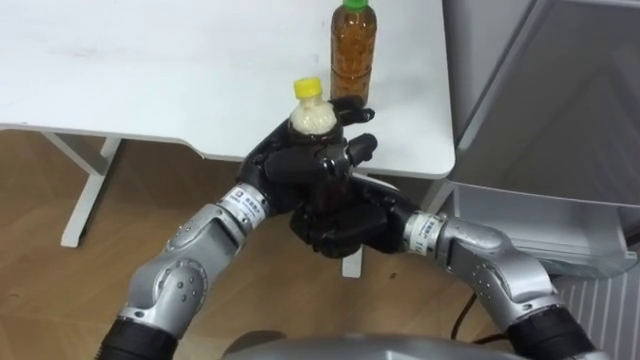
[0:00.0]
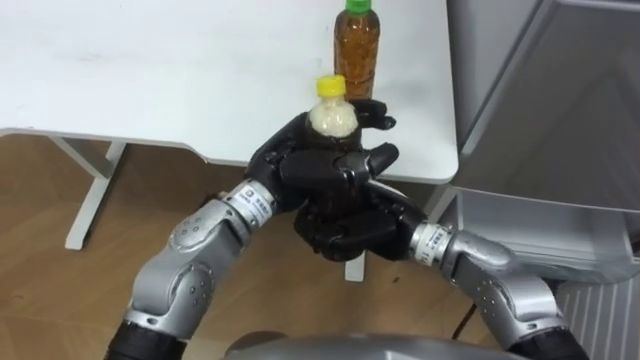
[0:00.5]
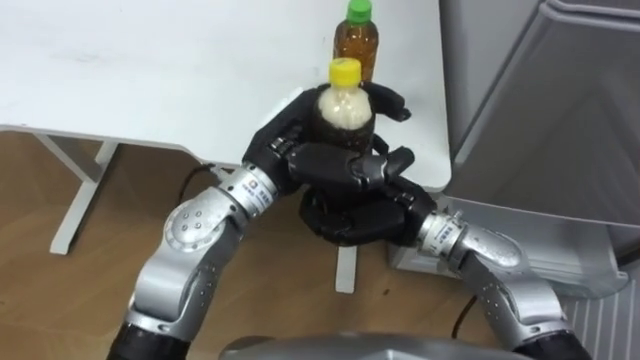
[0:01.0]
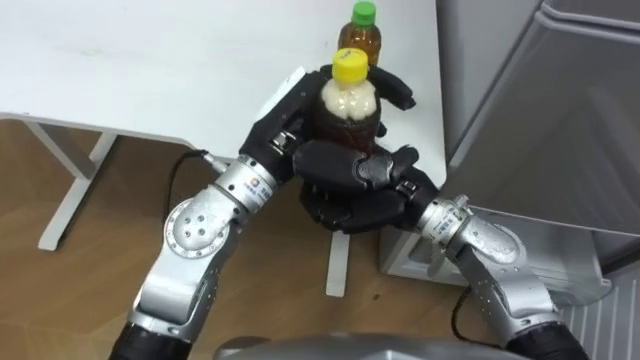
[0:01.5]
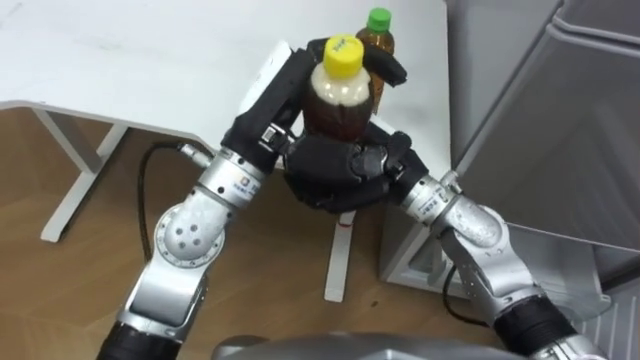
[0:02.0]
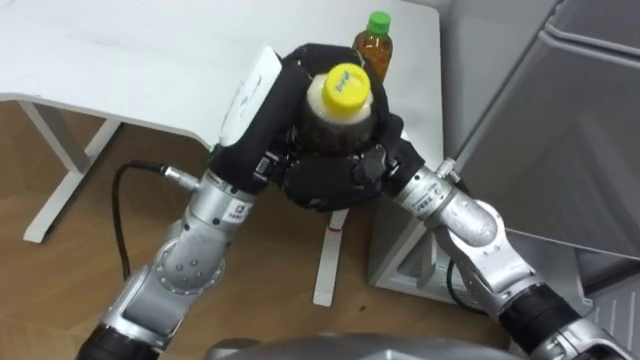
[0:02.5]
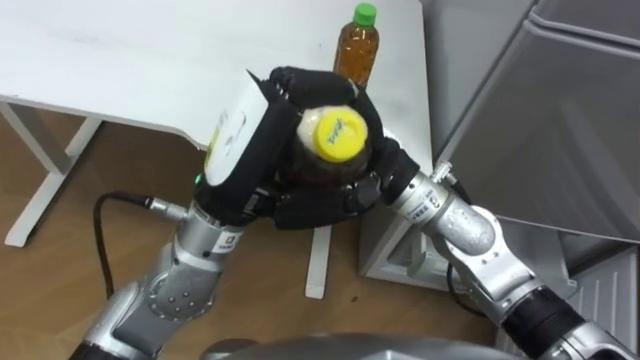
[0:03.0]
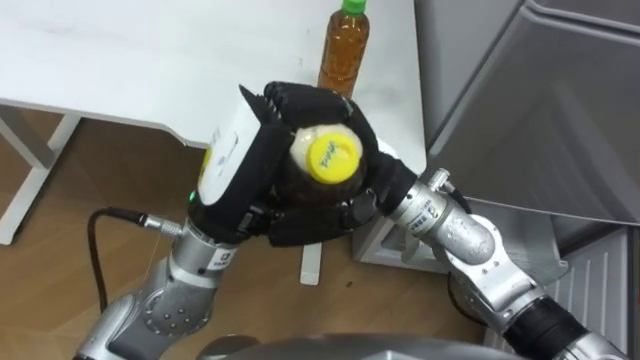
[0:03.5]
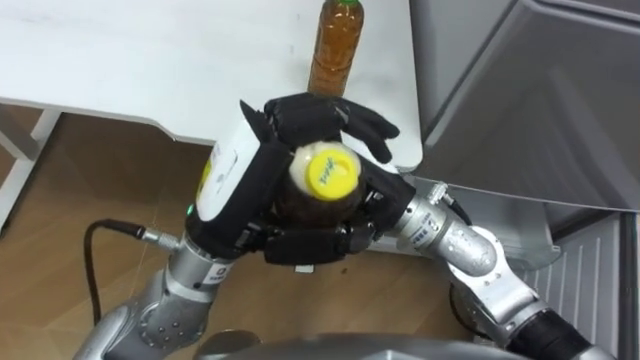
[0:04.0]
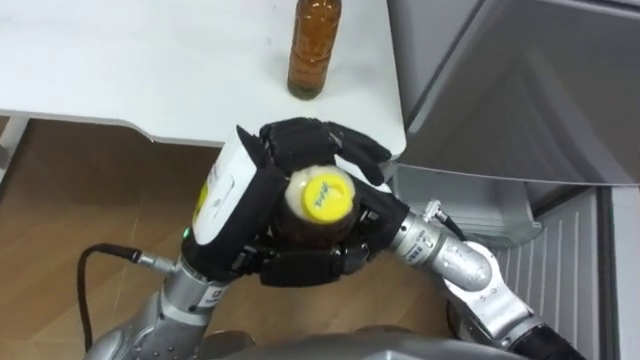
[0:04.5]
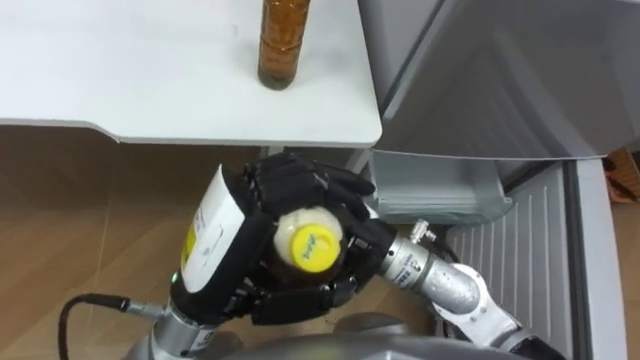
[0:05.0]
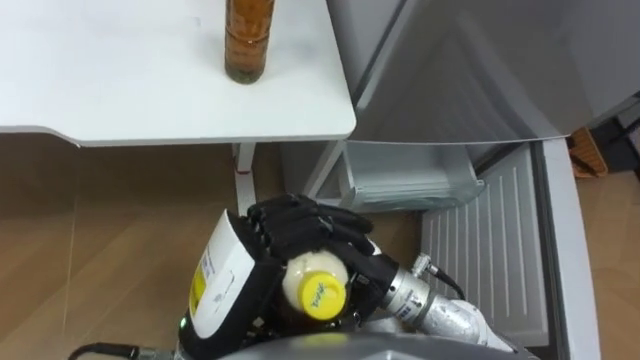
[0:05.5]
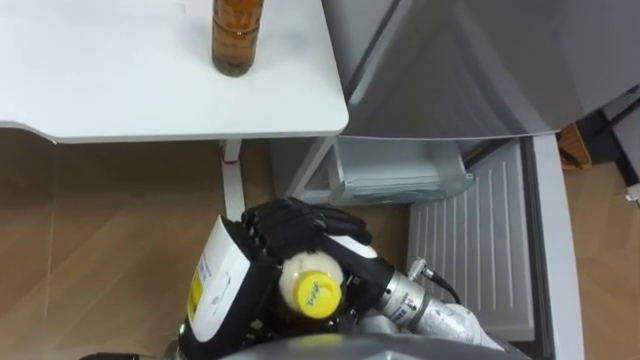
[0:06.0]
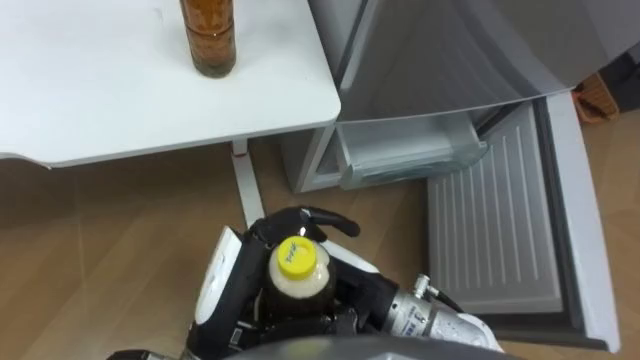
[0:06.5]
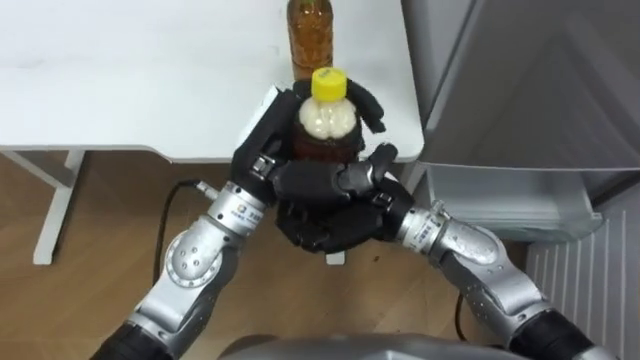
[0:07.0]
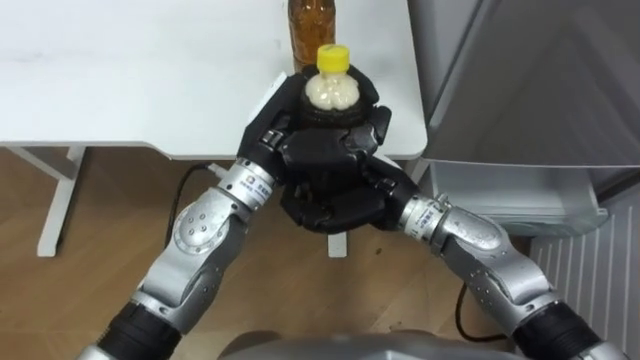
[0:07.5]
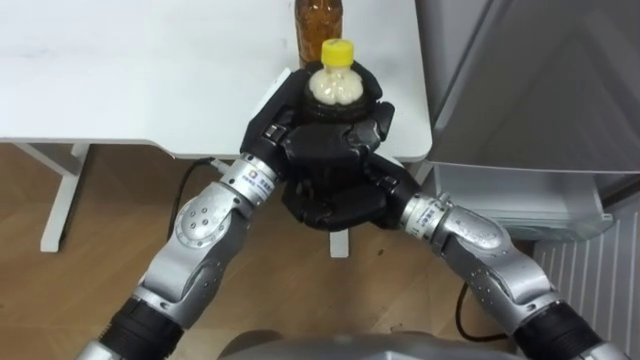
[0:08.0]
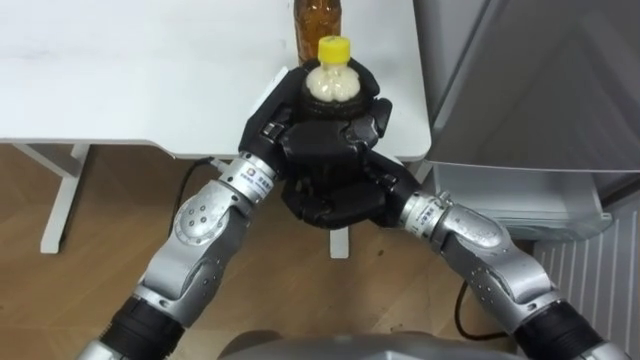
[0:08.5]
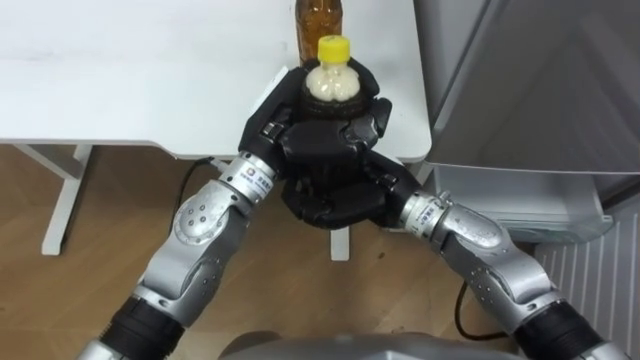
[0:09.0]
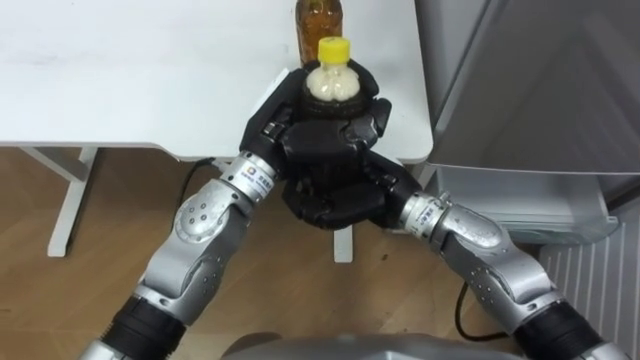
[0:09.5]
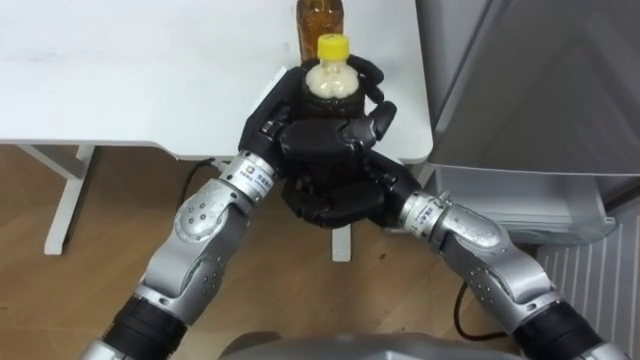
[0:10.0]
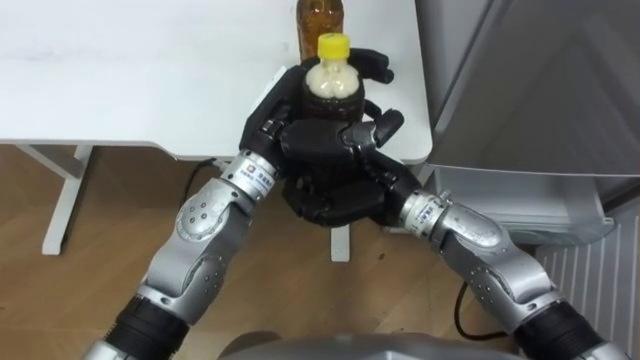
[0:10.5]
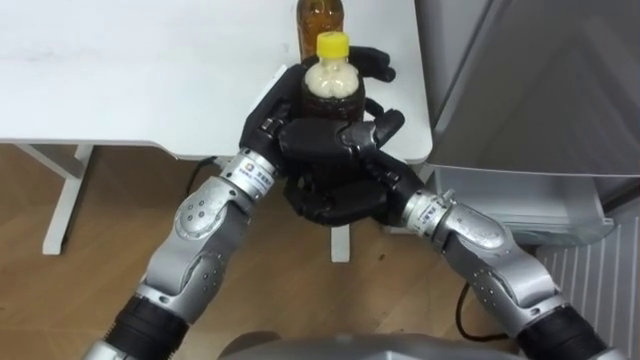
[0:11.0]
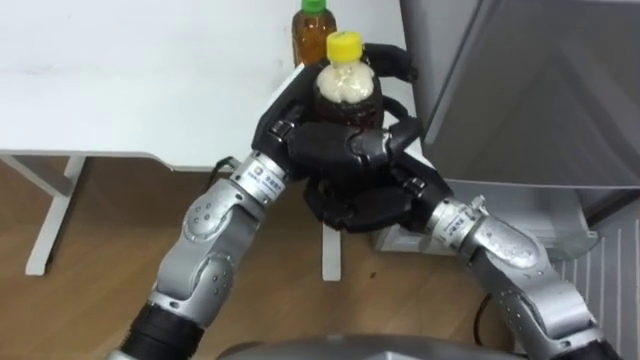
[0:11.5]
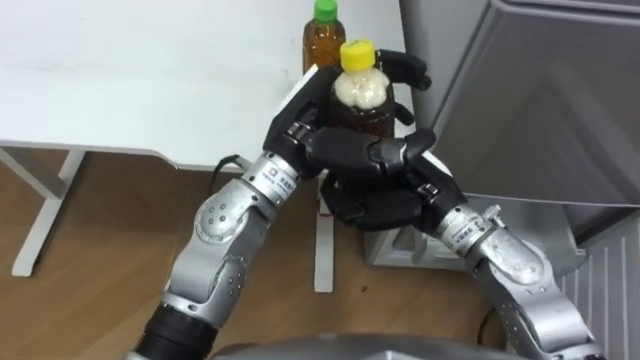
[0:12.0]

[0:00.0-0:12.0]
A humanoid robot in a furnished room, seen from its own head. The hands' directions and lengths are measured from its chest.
Task of the whole recording: Place the drink on the table on the bottom shelf of the refrigerator, then close the drawer and the refrigerator door.
0:00.0 to 0:02.0: The right hand shifts some 5 cm upward. The left hand goes some 10 cm upward.
0:02.0 to 0:04.0: The right hand ends up some 5 cm from where it was, while the left hand shifts roughly 10 cm backward.
0:04.0 to 0:06.0: The hands both shift backward and downward by some 10 cm.
0:06.0 to 0:08.0: The right hand moves forward, roughly 10 cm, while the left hand shifts roughly 15 cm forward.
0:10.0 to 0:12.0: The right hand moves to the right, roughly 5 cm.

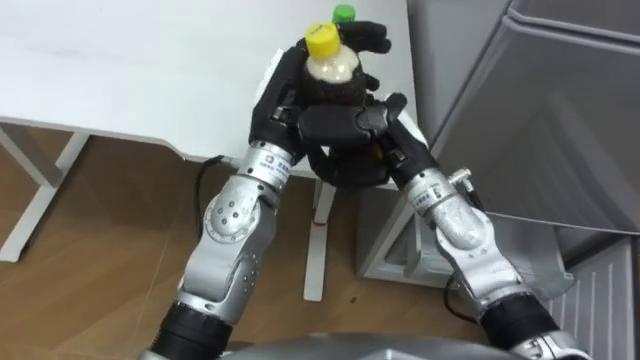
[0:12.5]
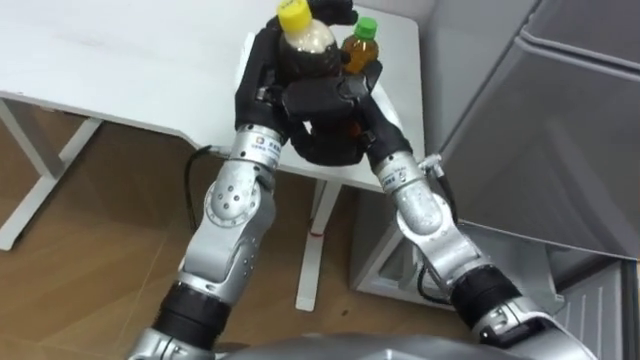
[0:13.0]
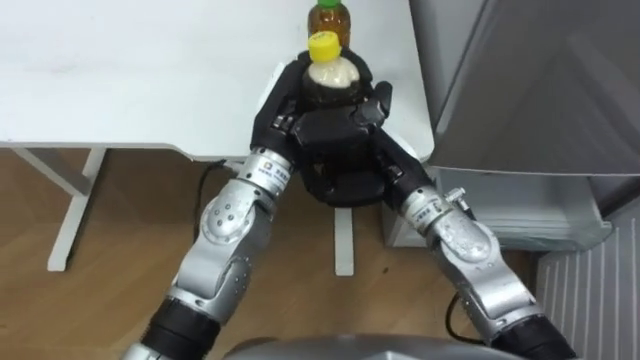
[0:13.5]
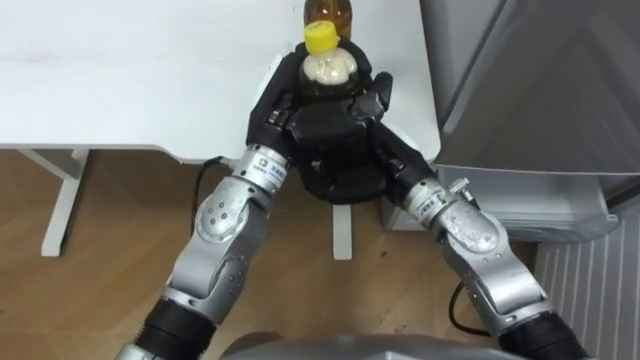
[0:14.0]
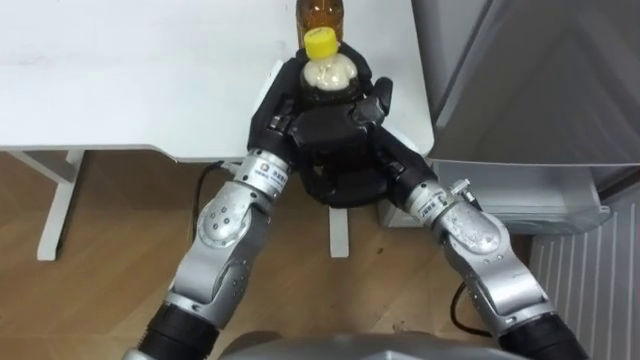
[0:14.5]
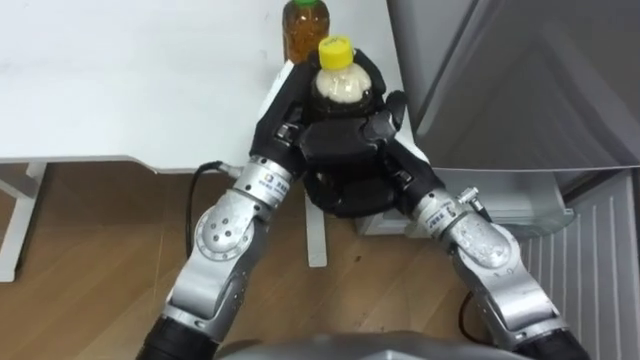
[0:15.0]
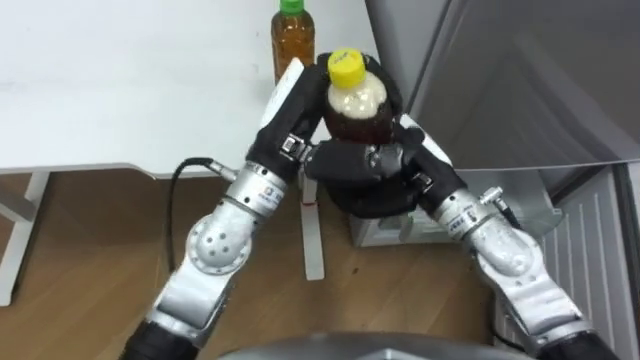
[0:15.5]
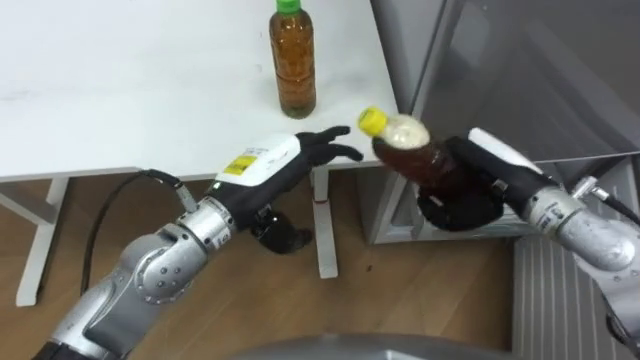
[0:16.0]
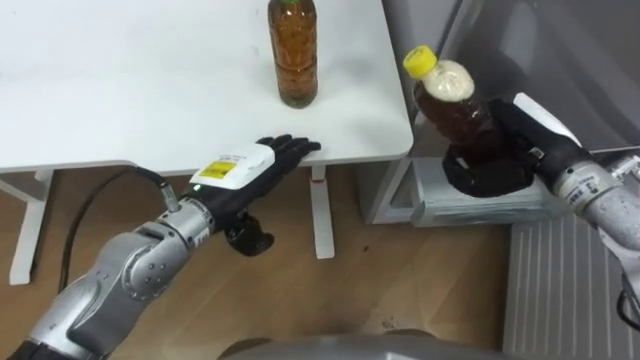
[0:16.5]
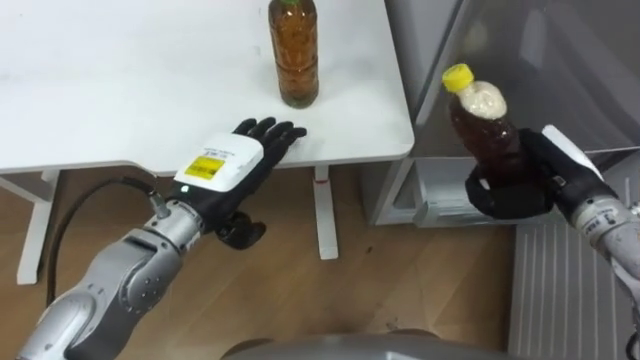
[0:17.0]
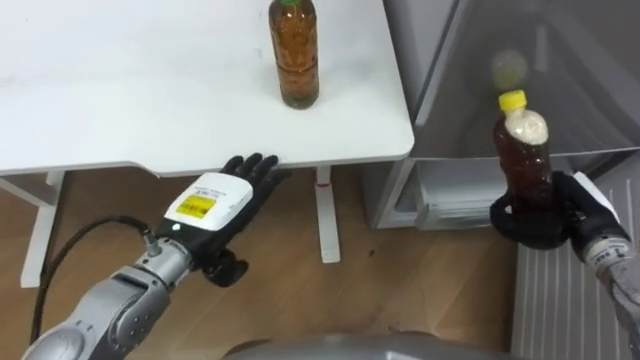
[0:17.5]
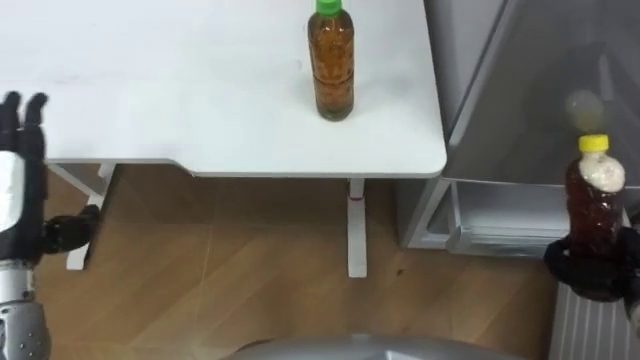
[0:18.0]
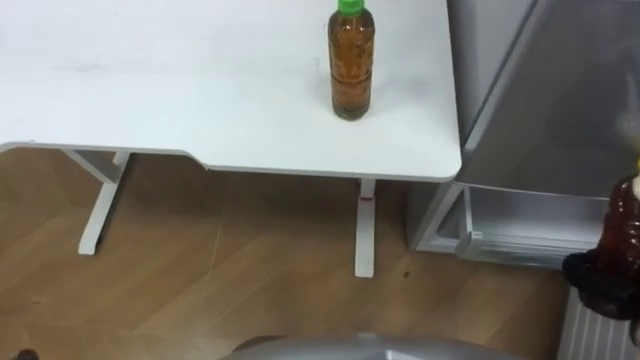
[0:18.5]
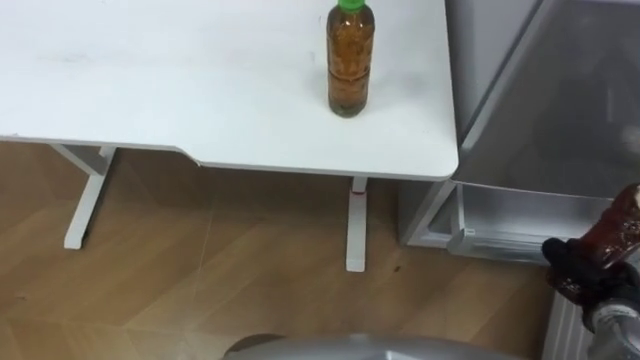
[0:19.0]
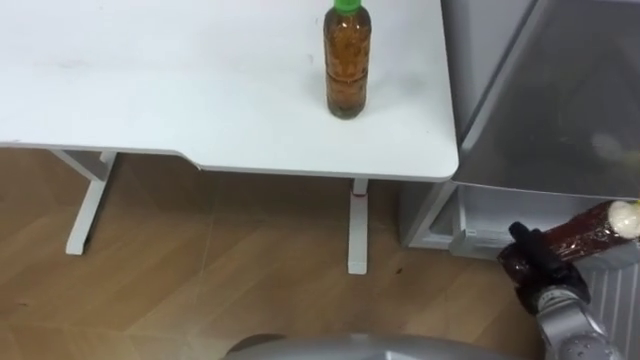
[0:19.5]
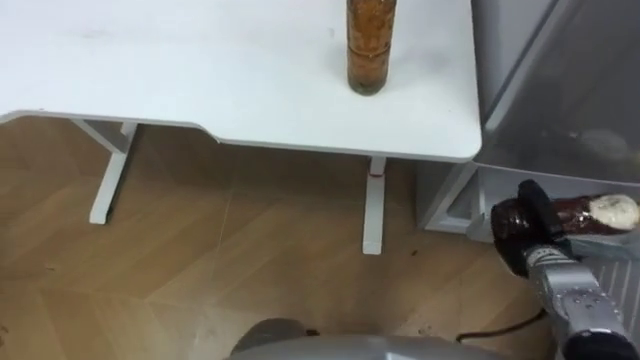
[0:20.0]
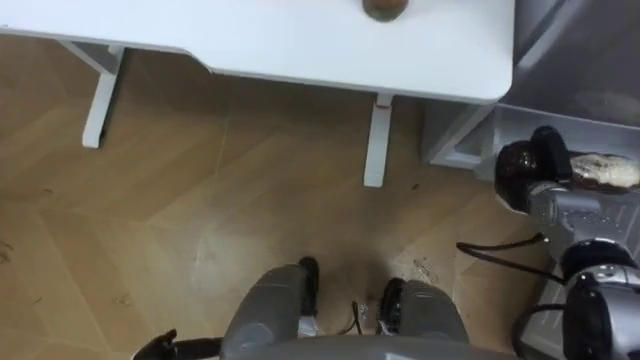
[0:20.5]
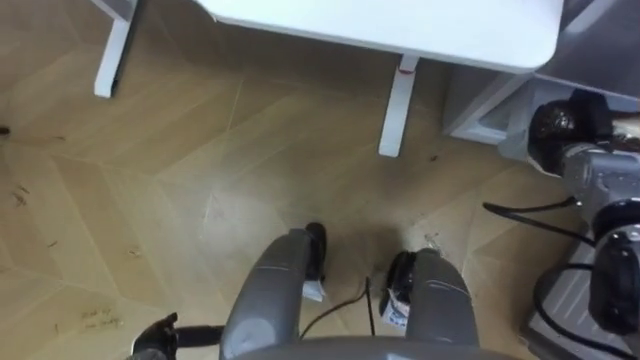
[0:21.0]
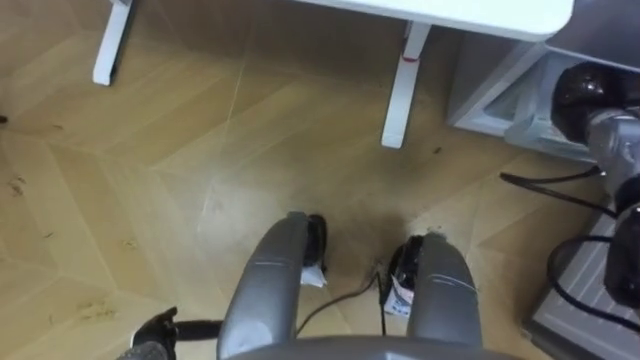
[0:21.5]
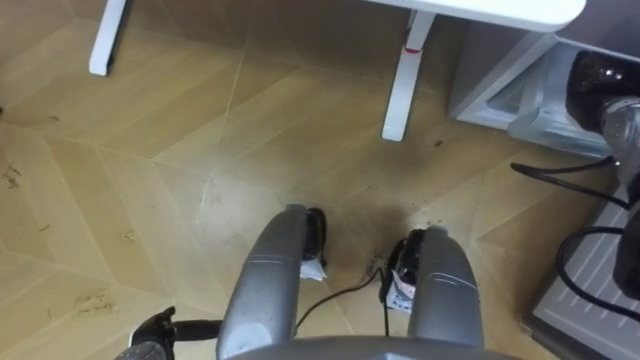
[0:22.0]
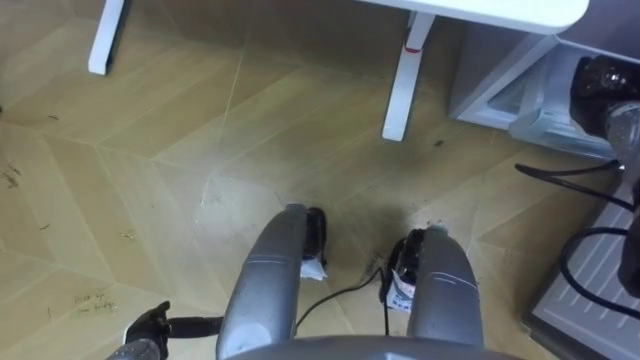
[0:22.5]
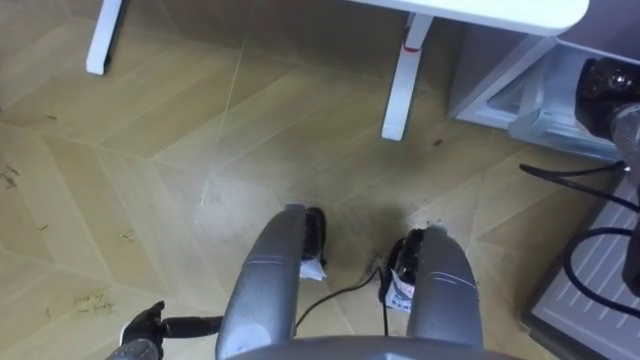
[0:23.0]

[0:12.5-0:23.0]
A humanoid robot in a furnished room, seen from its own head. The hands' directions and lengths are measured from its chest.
Task of the whole recording: Place the drink on the table on the bottom shelf of the refrigerator, then close the drawer and the refrigerator door.
0:14.5 to 0:16.5: The left hand heads to the left, downward and backward, covering about 10 cm, and opens, while the right hand goes some 15 cm to the right.
0:16.5 to 0:19.0: The right hand goes roughly 25 cm downward, backward and to the right.
0:19.0 to 0:21.0: The right hand goes some 20 cm forward.
0:21.0 to 0:23.0: The right hand is displaced upward by about 5 cm.
